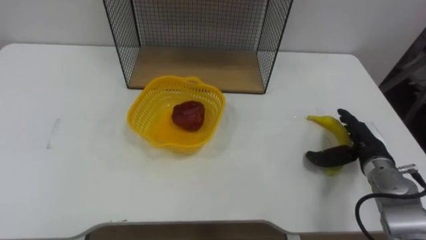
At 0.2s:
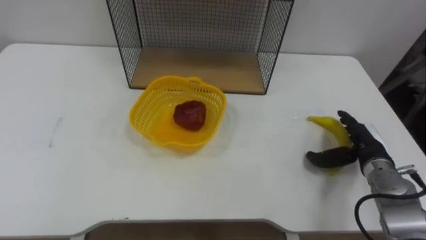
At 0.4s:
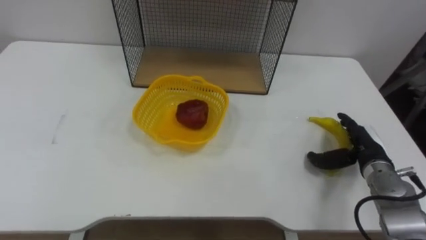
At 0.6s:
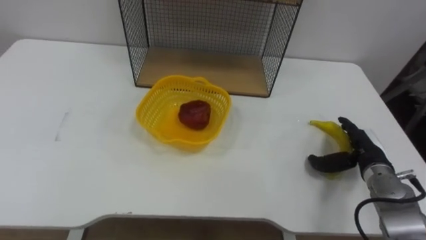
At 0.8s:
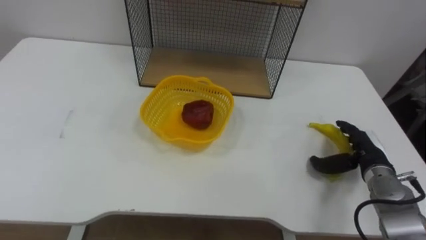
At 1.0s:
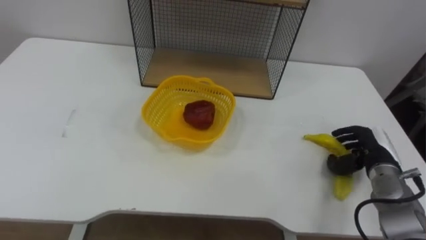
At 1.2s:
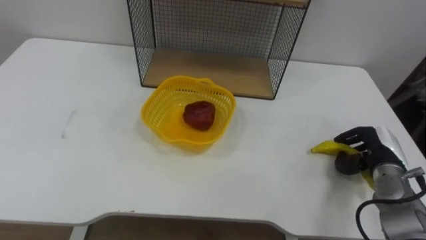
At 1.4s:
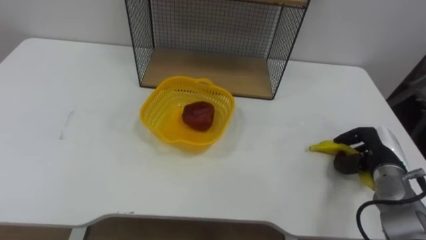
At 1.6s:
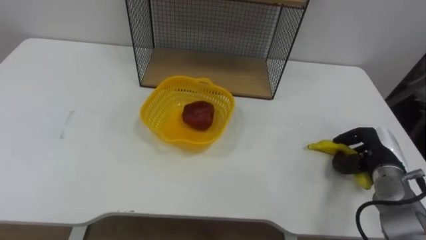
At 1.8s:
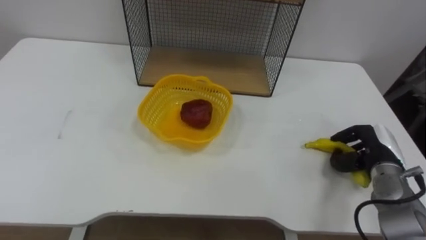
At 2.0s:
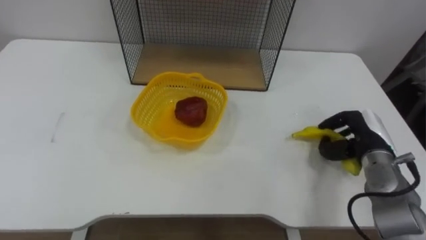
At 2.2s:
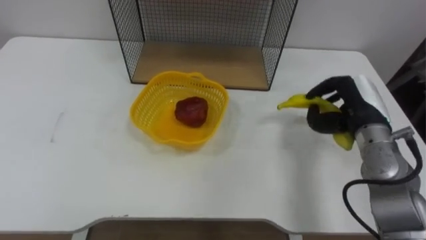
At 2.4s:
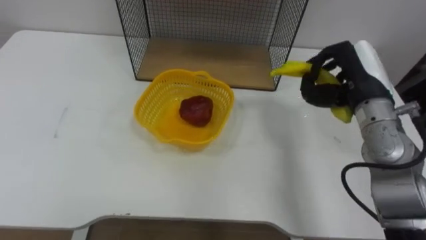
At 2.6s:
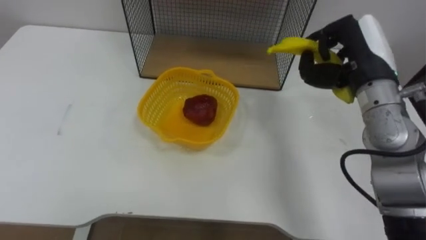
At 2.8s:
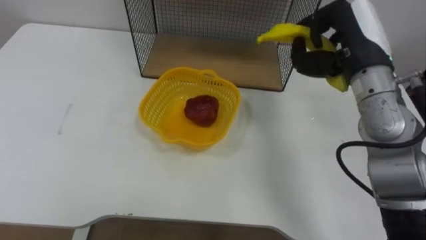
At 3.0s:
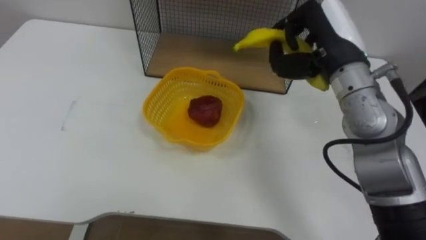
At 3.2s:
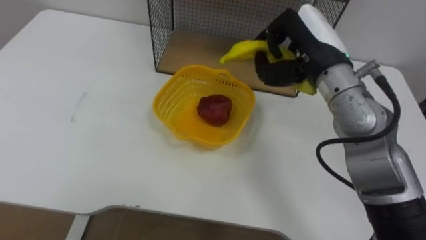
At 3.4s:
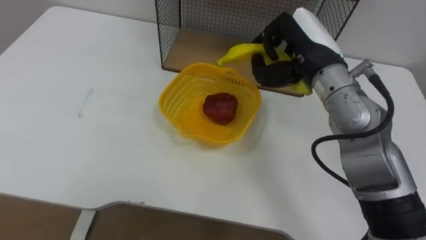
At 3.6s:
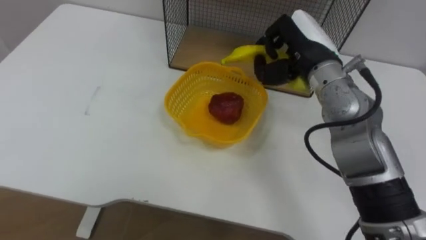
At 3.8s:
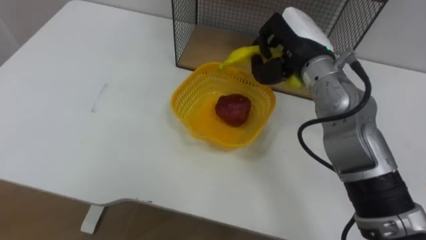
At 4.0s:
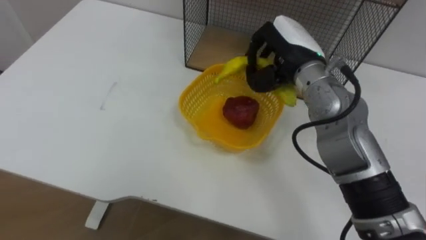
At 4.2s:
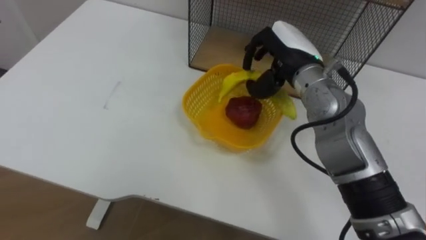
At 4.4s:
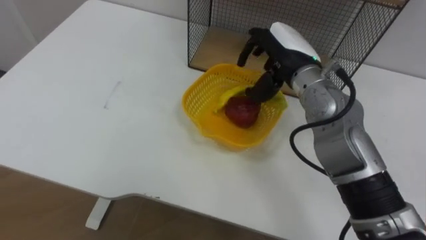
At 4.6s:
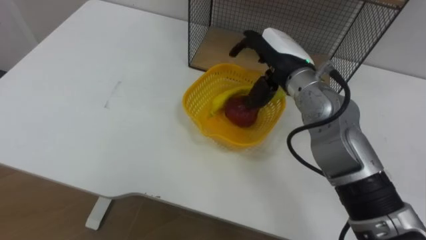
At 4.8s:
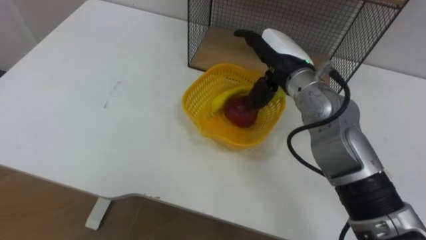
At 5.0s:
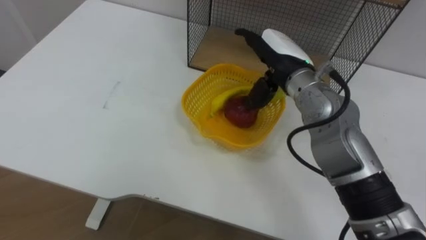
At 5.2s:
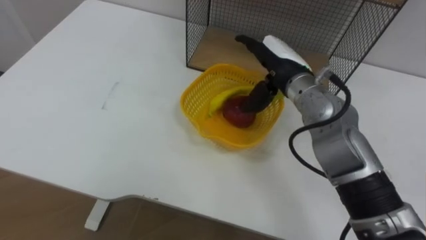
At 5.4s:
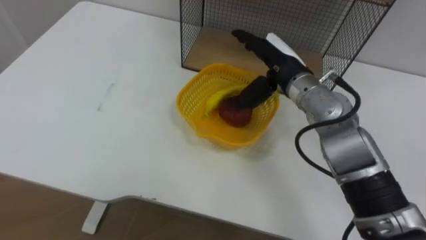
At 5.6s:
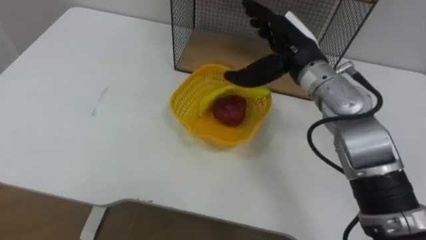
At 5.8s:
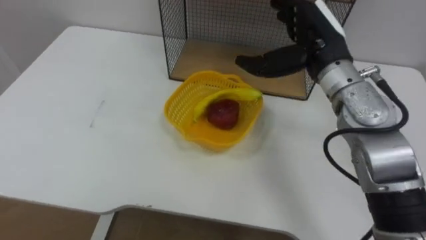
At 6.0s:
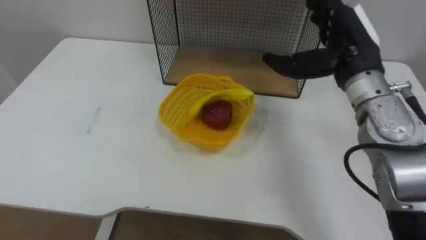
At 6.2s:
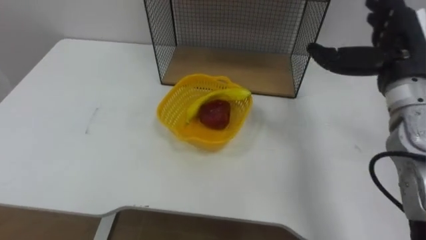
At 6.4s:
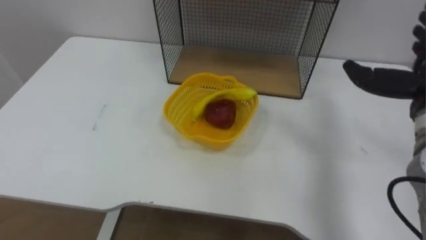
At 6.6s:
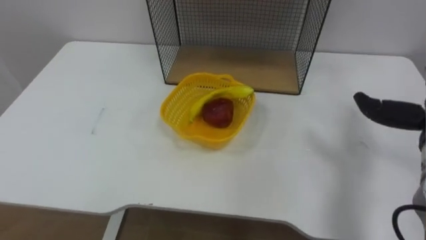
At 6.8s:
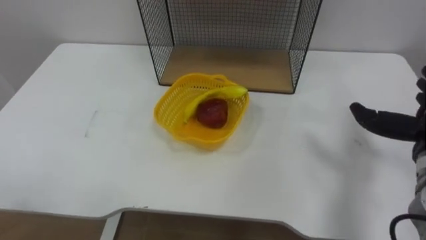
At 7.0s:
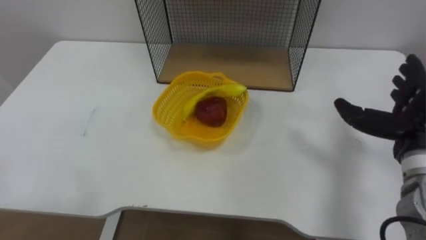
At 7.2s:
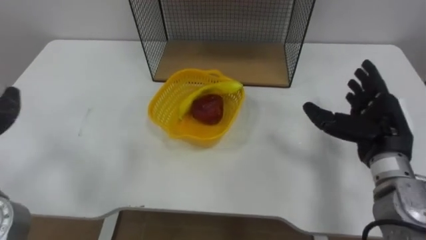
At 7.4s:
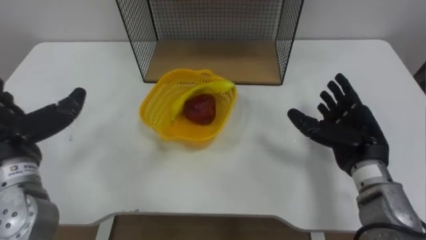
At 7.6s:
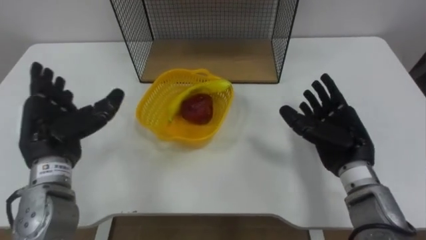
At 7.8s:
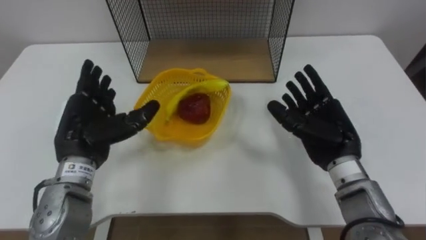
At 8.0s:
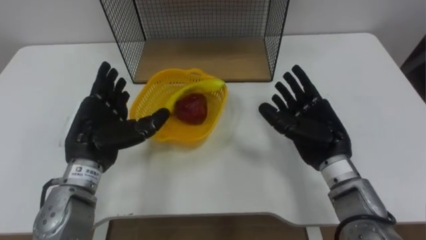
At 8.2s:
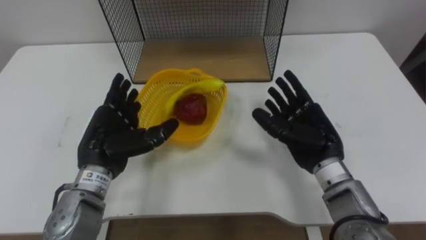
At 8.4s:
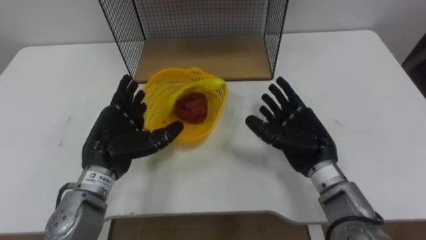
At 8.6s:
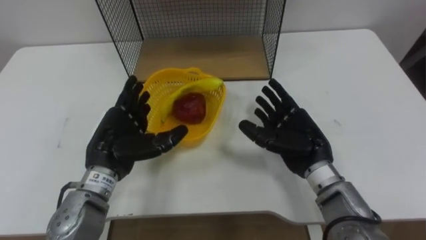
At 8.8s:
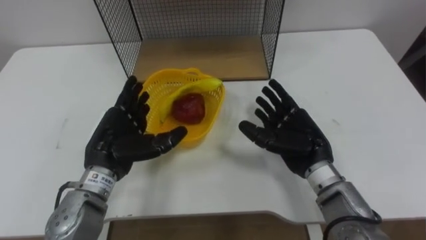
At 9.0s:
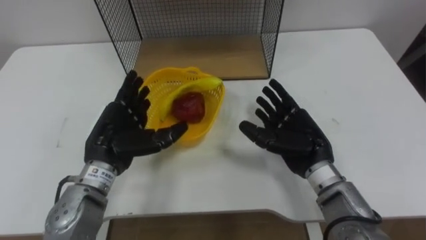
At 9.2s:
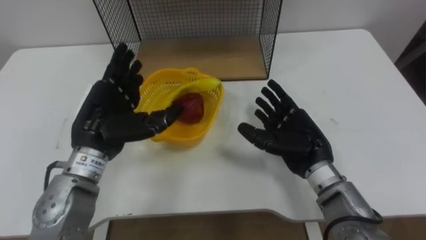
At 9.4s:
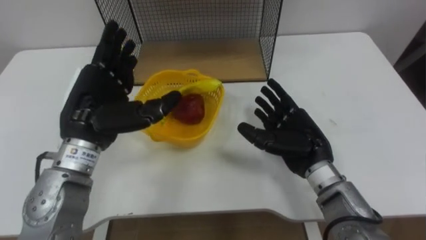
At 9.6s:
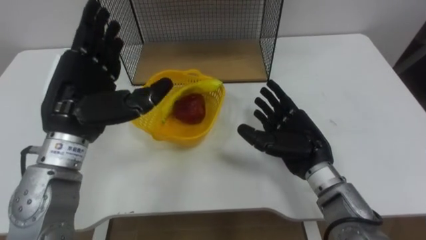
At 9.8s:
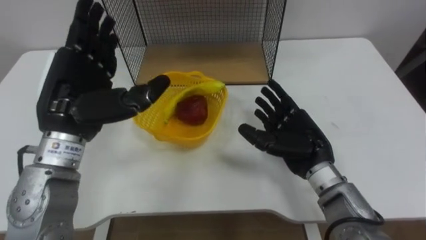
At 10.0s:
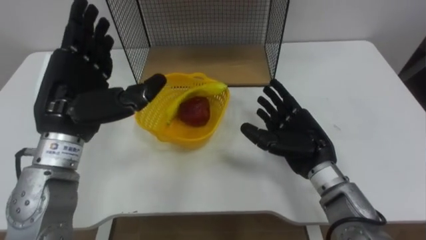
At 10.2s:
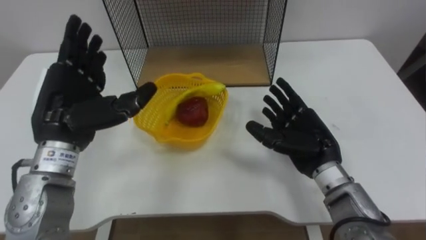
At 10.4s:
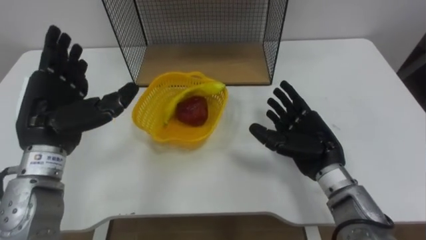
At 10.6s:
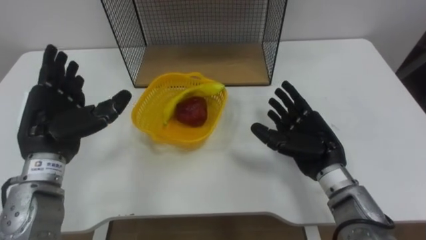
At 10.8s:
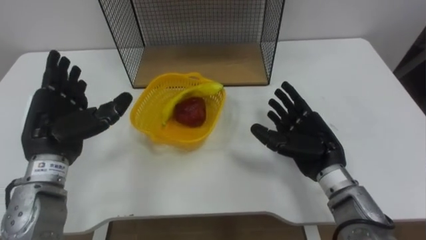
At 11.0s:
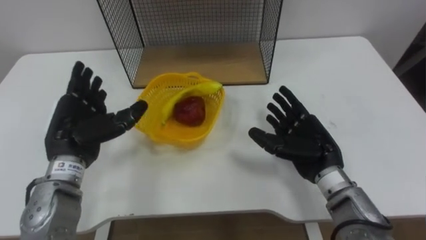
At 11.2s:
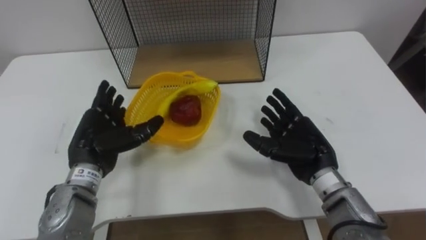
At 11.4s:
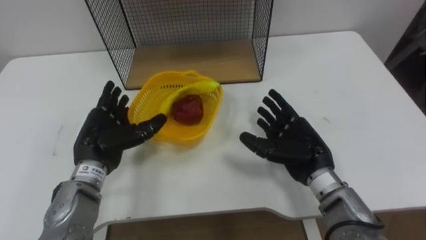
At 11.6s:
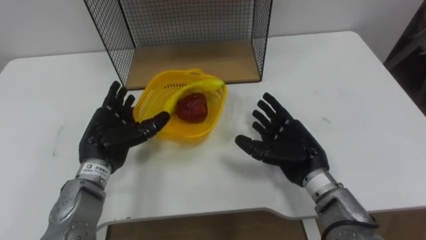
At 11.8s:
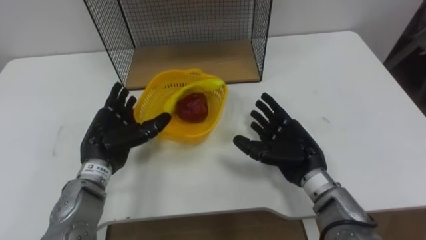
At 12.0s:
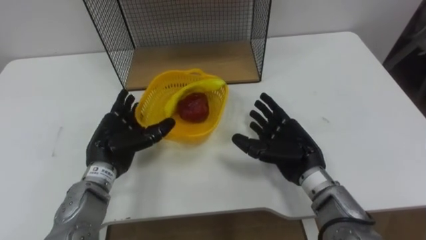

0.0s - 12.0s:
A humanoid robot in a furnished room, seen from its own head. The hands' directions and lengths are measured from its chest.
Task of the whole recording: Put the fruit on the table into the basket, then place the basket on the shelf.
0.0s - 1.6s: The right hand closes up.
1.6s - 3.0s: The right hand travels upward and to the left by some 30 cm.
3.0s - 4.4s: The right hand goes roughly 5 cm to the left, and opens its fingers.
4.4s - 6.0s: The right hand shifts some 10 cm to the right.
7.6s - 9.0s: The right hand shifts approximately 5 cm to the left. Meanwhile the left hand moves to the right, roughly 10 cm.
9.0s - 10.4s: The left hand shifts roughly 10 cm upward and to the left.
10.4s - 12.0s: The left hand heads downward and to the right, covering roughly 10 cm.

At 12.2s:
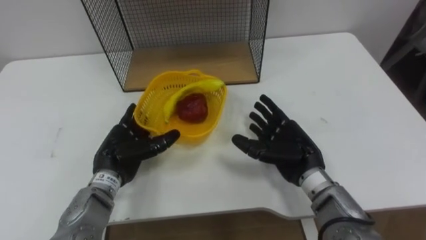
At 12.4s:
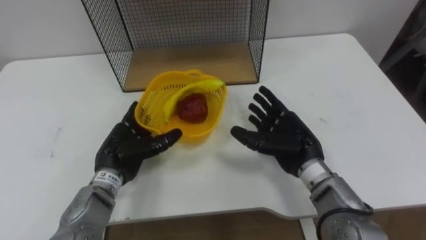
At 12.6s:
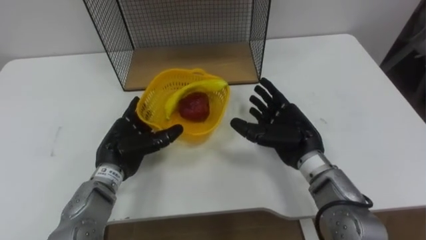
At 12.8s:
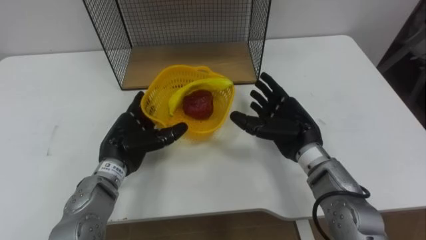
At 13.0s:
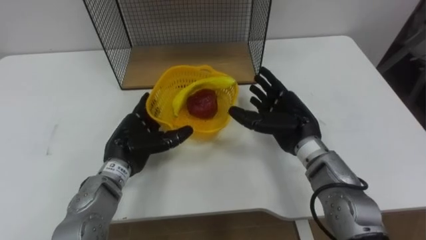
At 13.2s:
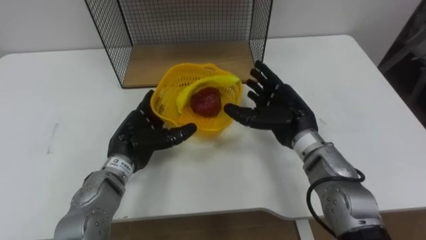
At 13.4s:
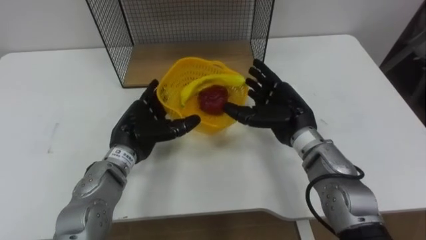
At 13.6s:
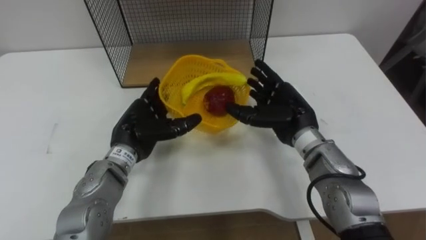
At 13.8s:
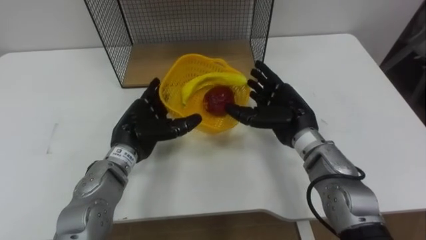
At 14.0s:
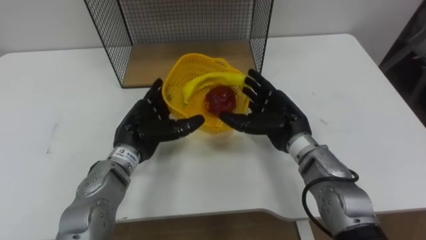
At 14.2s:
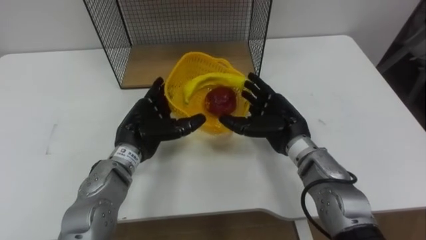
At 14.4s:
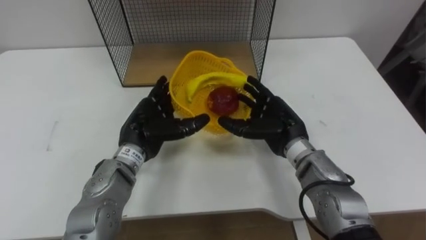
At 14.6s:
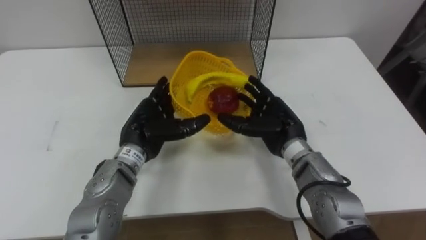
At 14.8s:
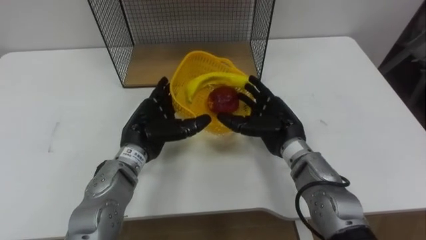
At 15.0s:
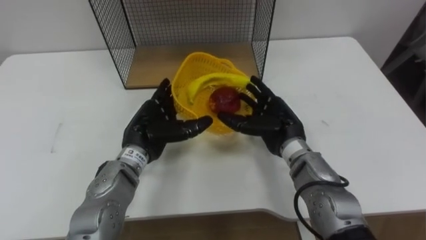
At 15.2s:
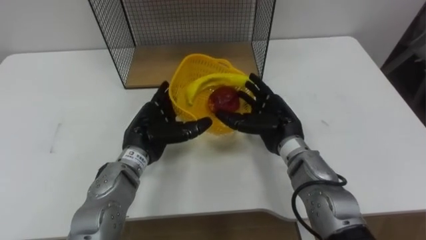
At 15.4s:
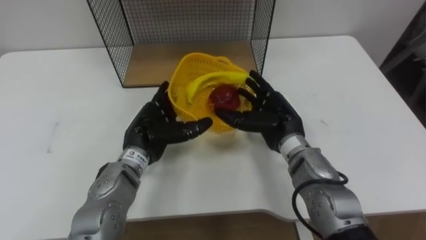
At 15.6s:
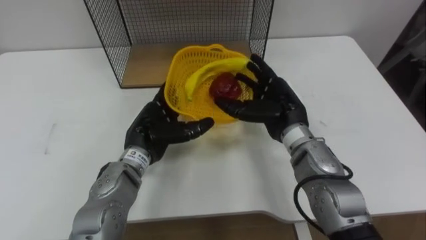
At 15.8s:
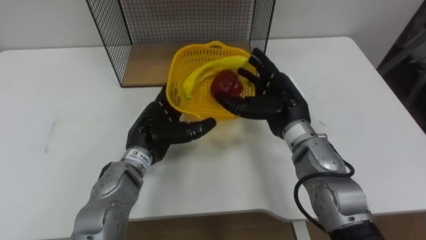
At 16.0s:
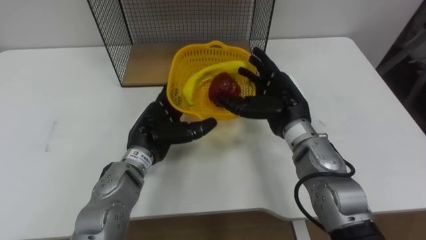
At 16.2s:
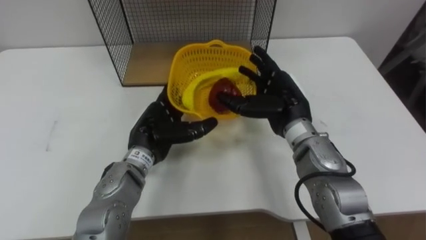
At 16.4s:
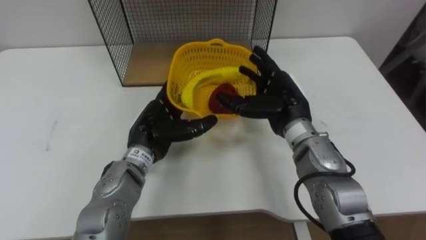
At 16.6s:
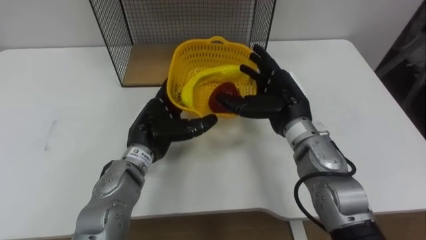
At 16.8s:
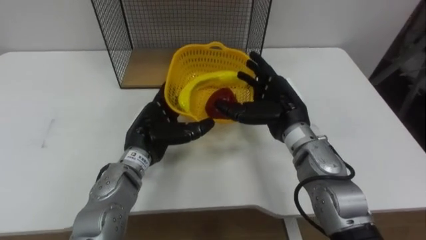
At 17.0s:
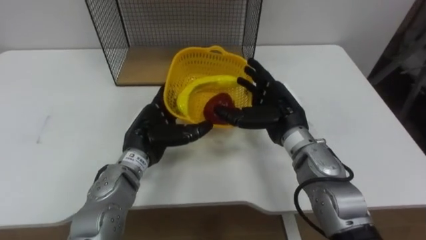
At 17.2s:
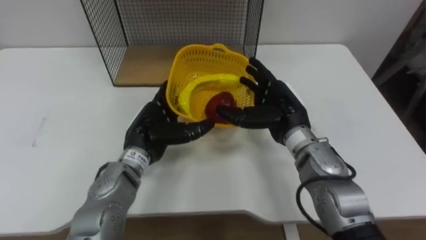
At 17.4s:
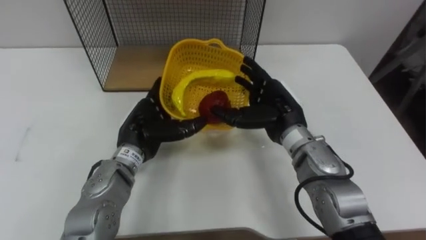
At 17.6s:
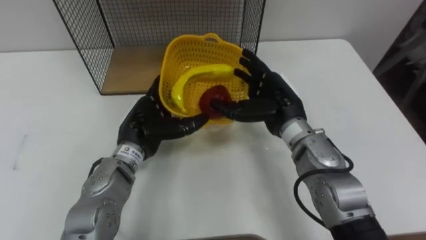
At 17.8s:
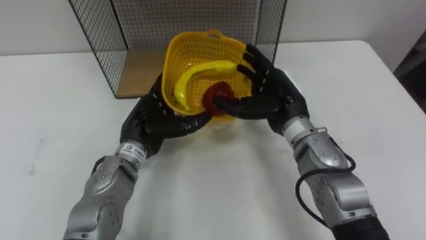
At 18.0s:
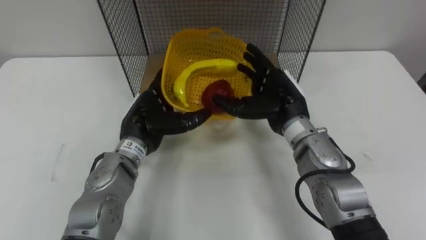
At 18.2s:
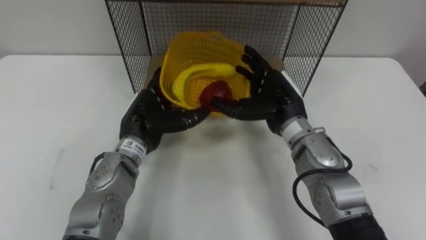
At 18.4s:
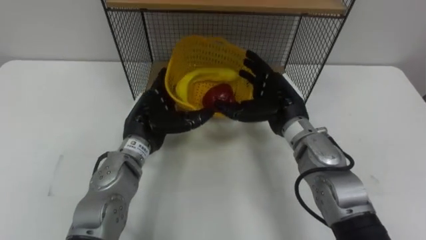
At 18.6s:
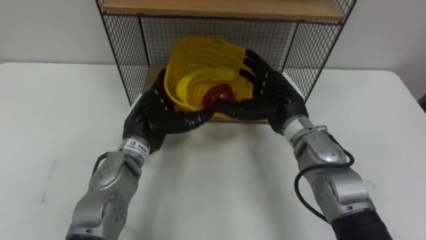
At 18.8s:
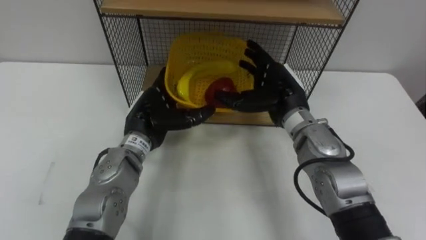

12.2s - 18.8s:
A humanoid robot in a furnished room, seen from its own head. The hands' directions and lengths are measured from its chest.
Task of the whole recording: Put the fruit on the table into the basket, then place the basket on the shelf.
12.2s - 13.8s: The right hand shifts some 5 cm forward. The left hand ends up roughly 5 cm from where it was.
13.8s - 15.4s: There are only small adjustments of the hands.
